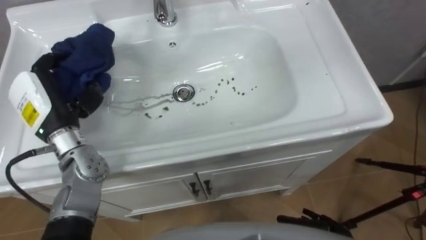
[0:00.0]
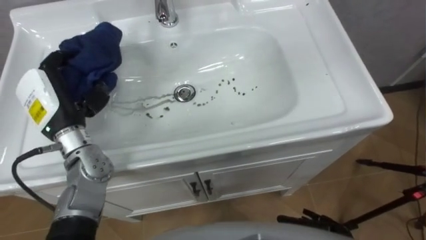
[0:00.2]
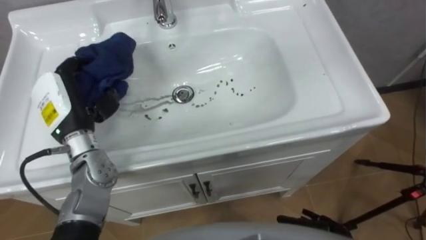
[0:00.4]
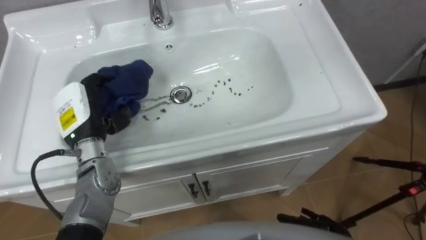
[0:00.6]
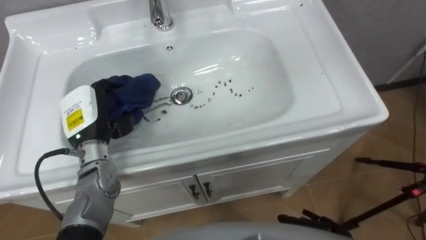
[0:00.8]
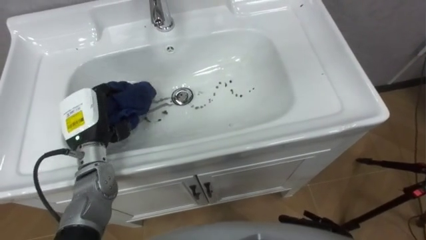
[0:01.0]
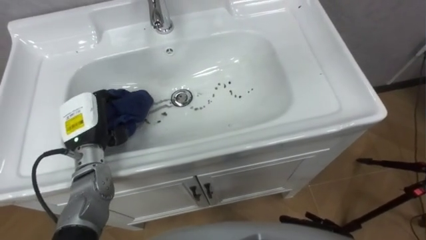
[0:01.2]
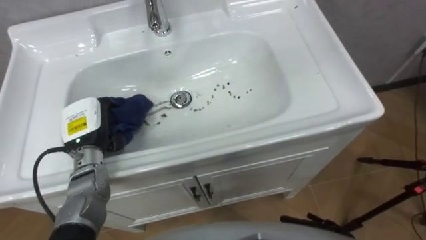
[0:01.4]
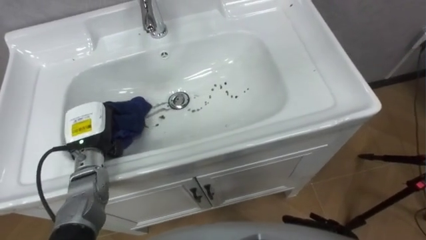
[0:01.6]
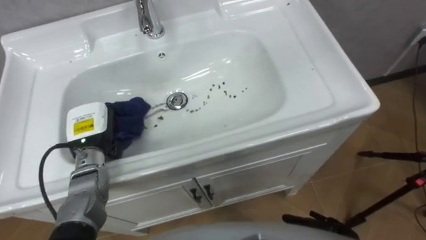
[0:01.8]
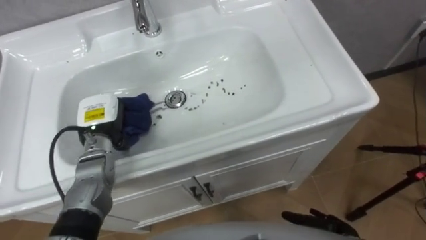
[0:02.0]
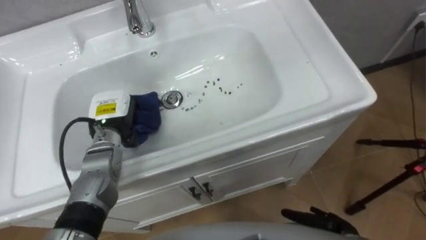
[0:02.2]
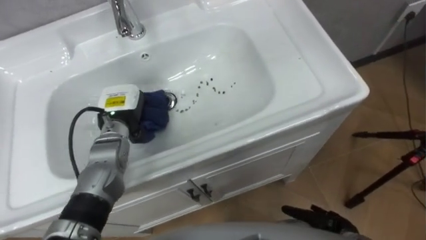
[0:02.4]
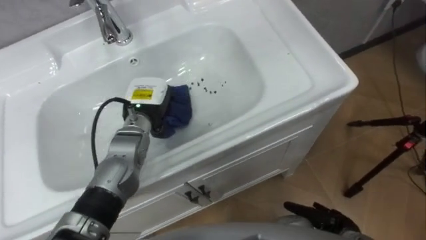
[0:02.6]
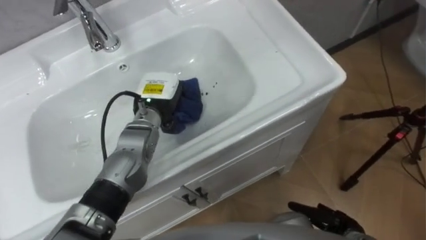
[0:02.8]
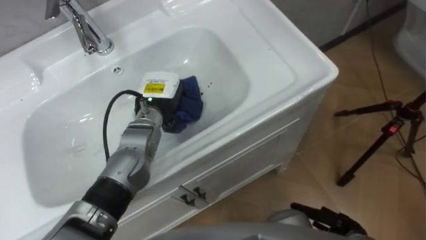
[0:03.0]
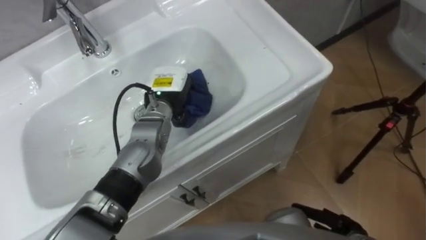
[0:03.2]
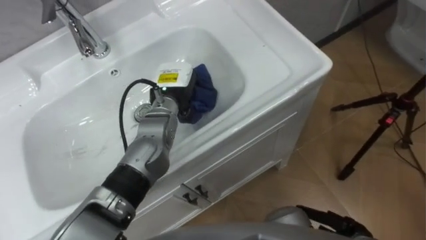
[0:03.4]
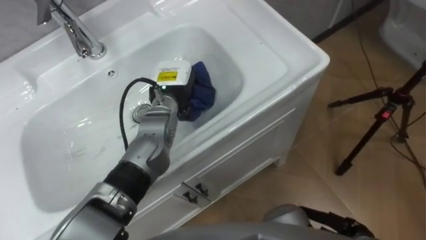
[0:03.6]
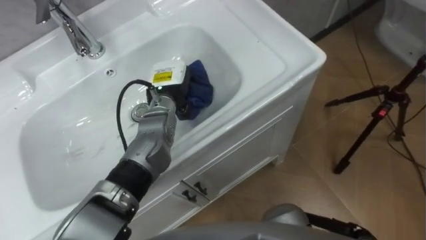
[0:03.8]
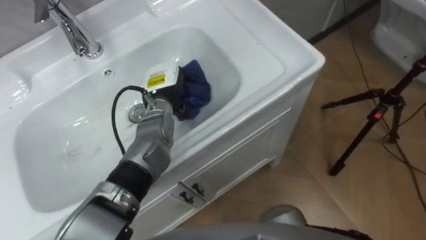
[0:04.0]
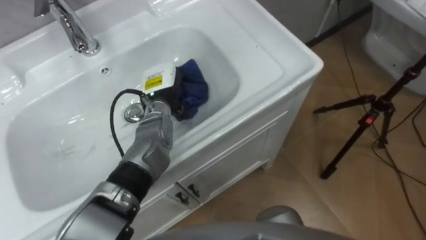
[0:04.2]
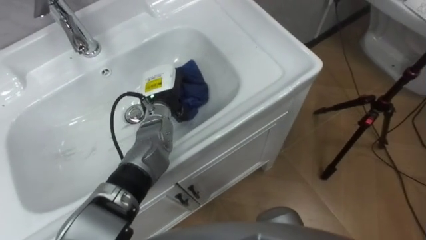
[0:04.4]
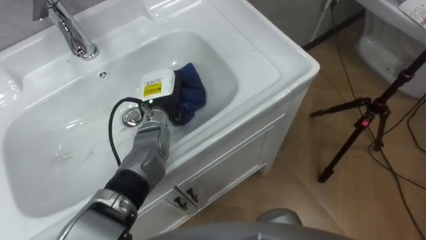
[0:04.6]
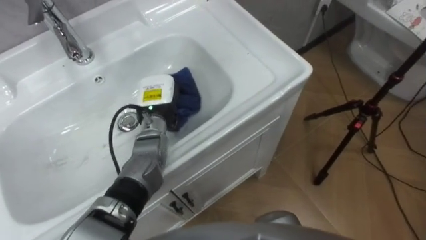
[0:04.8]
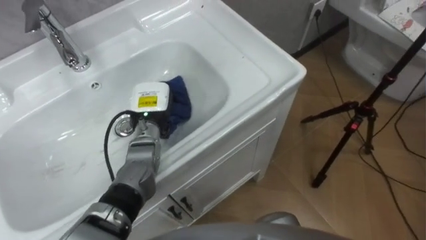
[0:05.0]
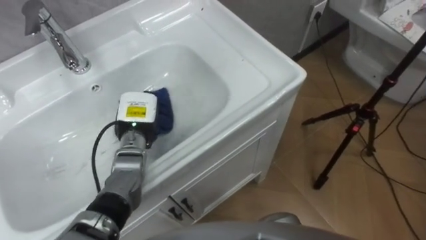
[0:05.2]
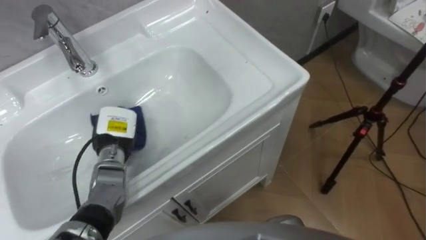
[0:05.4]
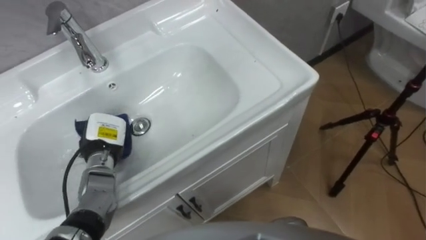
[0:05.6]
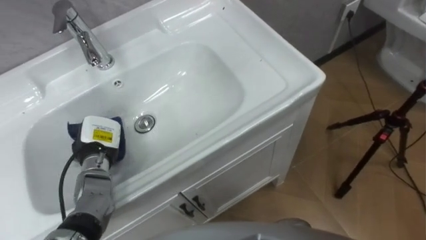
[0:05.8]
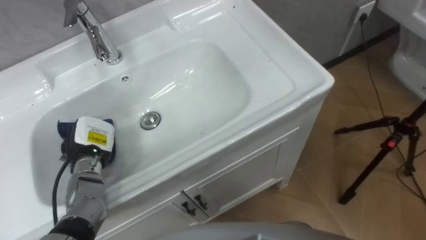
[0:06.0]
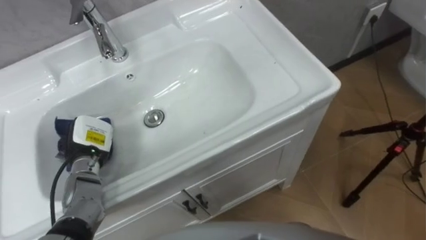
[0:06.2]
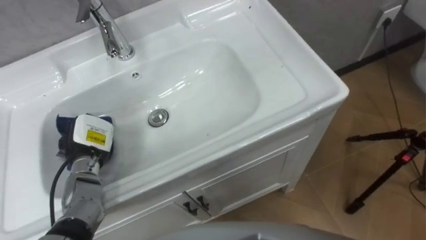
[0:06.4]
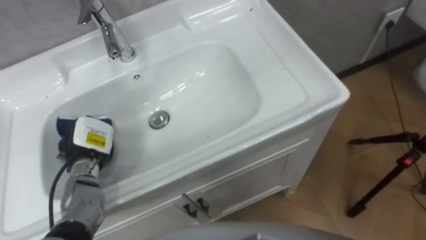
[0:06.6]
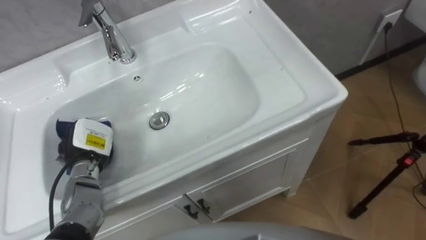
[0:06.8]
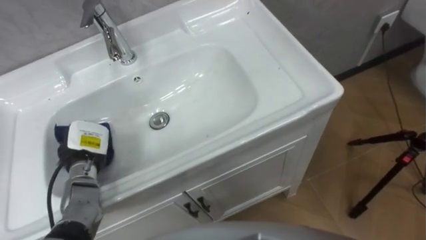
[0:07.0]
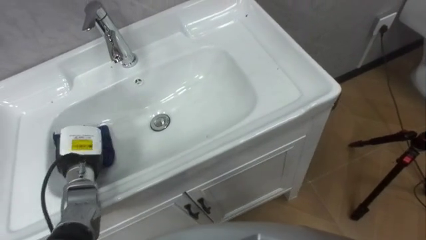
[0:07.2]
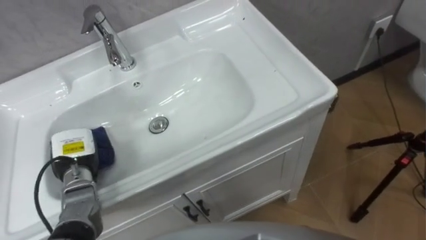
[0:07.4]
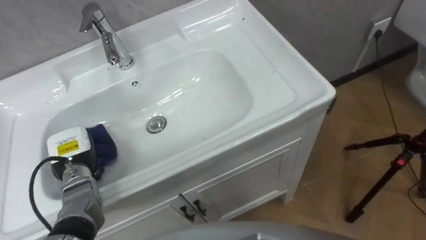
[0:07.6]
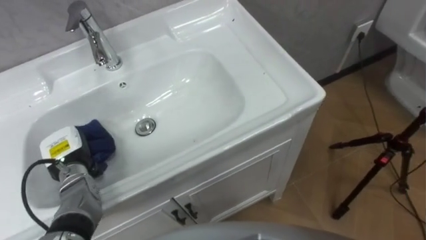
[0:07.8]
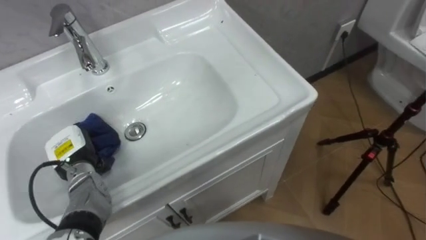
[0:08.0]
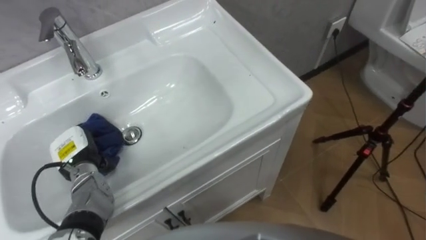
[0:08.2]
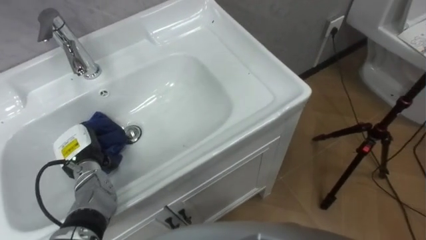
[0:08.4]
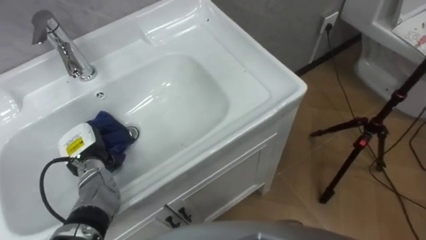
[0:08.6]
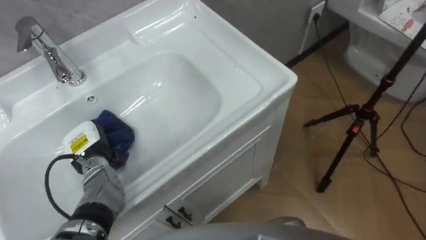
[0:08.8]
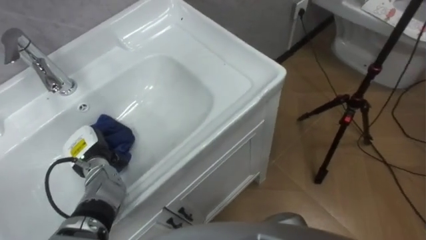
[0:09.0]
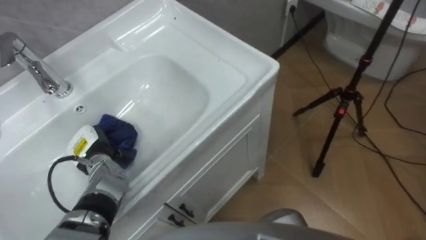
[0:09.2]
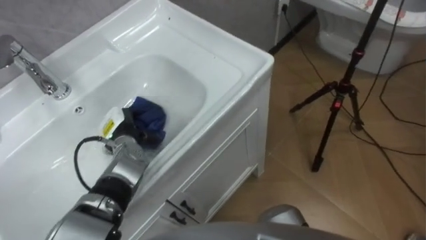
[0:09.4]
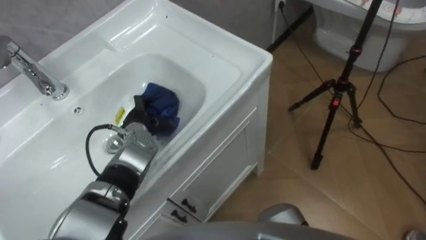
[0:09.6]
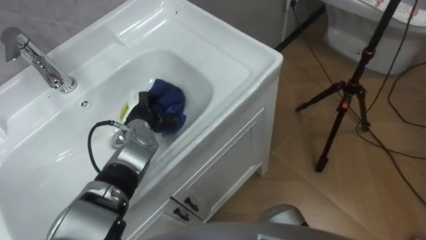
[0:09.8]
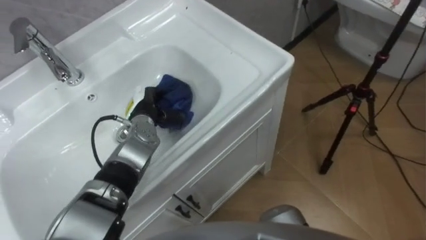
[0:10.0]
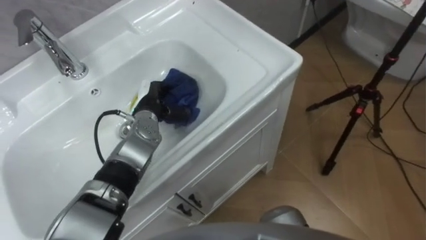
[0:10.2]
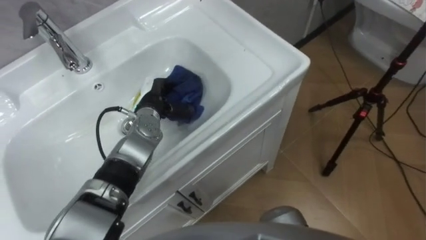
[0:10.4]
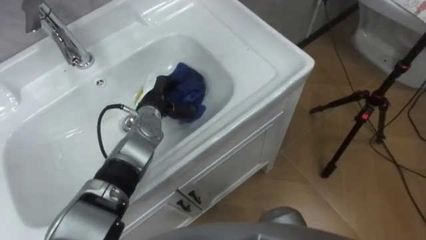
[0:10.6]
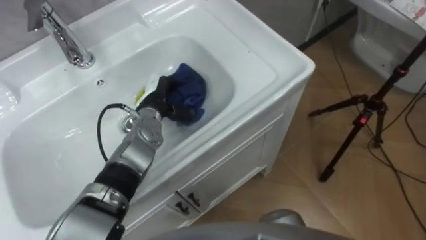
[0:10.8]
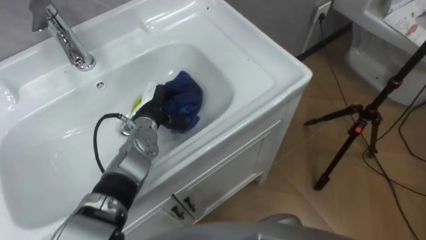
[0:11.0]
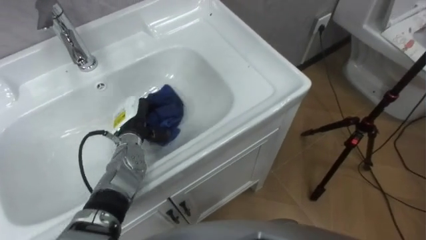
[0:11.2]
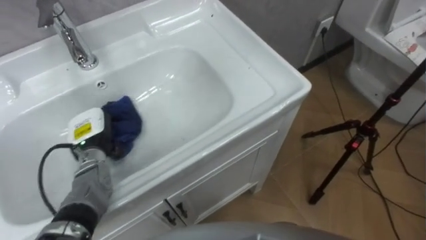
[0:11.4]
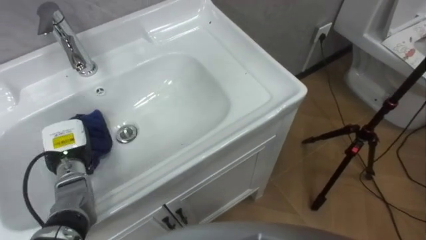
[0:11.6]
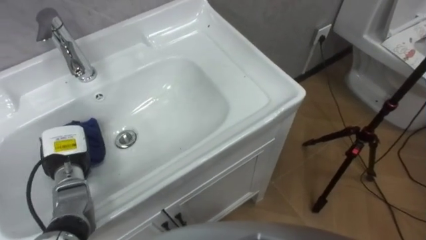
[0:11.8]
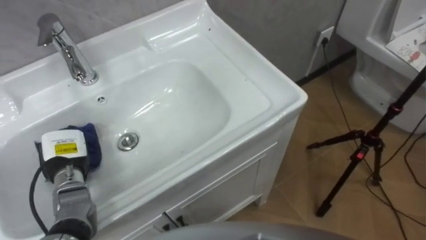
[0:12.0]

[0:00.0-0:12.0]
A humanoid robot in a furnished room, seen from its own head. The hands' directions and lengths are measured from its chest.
Task of the whole recording: Use the cloth on the right to wipe away the black stain in the sink.
0:00.0 to 0:01.6: The left hand is displaced downward by roughly 10 cm.
0:01.6 to 0:03.0: The left hand travels to the right and forward by approximately 15 cm.
0:04.4 to 0:06.0: The left hand goes approximately 20 cm to the left and backward.
0:09.0 to 0:10.4: The left hand is displaced to the right and forward by approximately 15 cm.
0:10.4 to 0:12.0: The left hand goes about 20 cm to the left and backward.

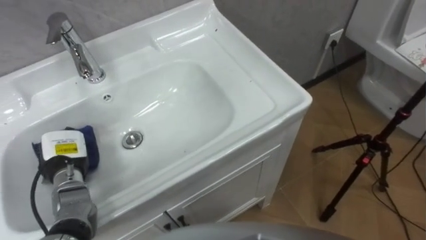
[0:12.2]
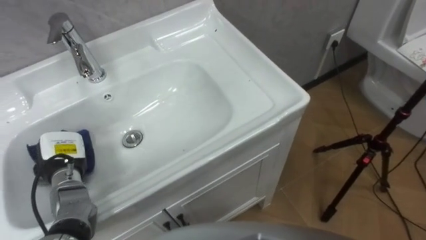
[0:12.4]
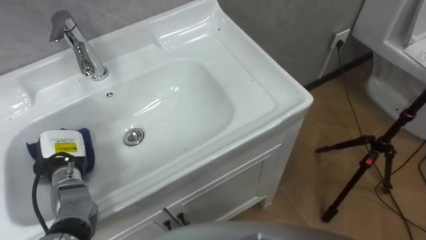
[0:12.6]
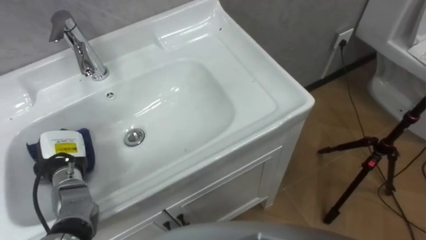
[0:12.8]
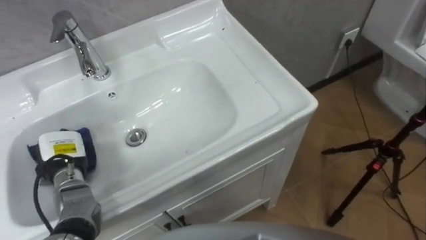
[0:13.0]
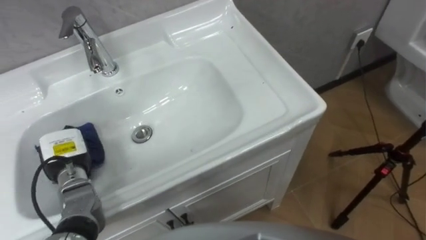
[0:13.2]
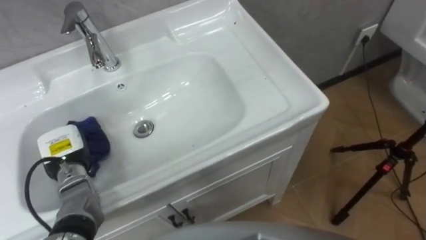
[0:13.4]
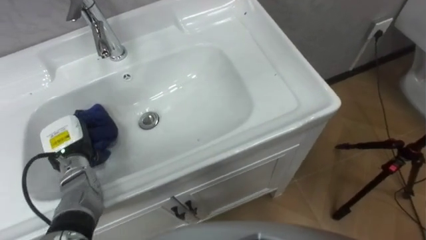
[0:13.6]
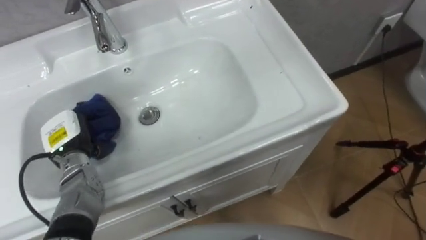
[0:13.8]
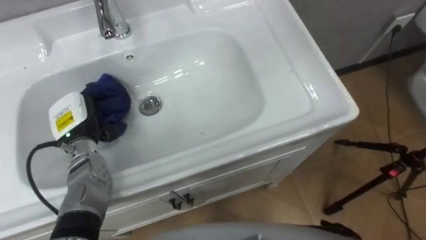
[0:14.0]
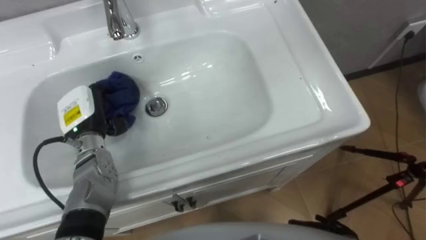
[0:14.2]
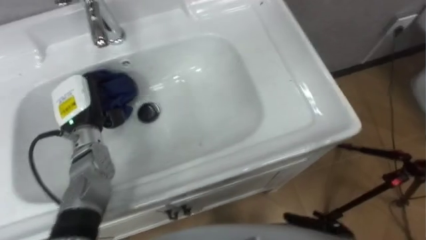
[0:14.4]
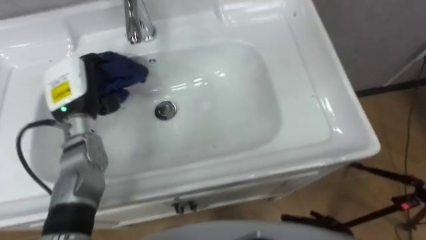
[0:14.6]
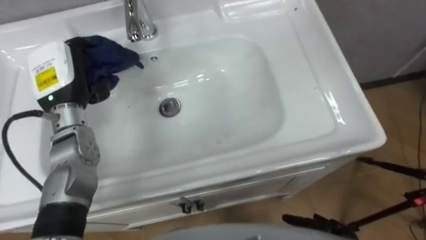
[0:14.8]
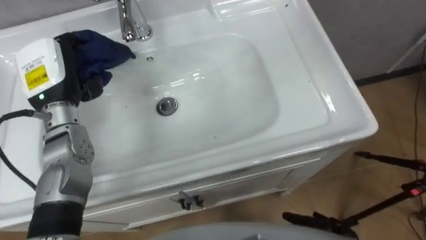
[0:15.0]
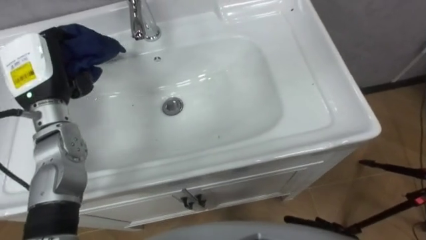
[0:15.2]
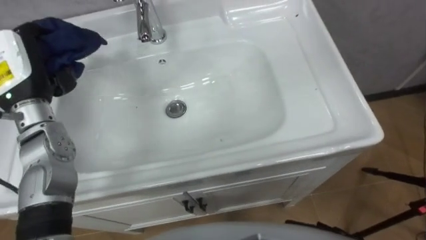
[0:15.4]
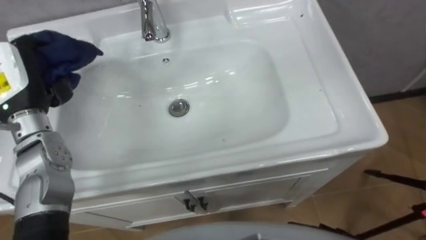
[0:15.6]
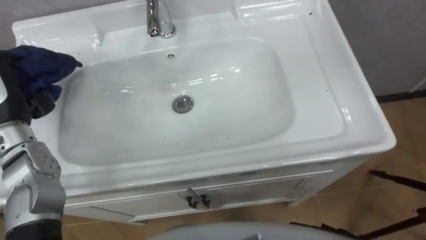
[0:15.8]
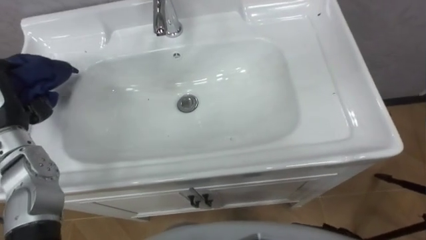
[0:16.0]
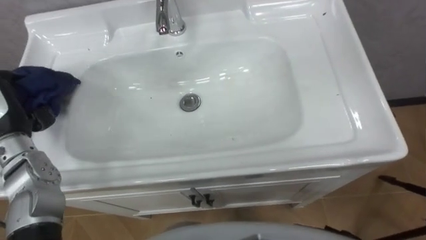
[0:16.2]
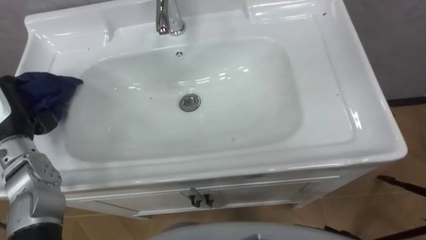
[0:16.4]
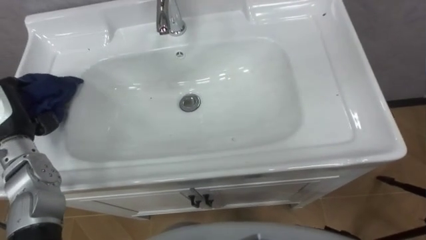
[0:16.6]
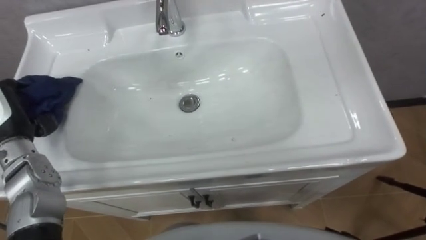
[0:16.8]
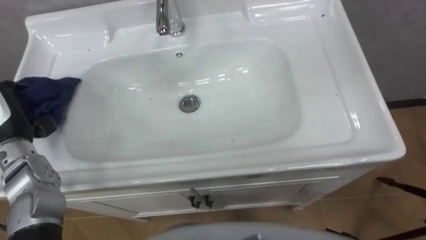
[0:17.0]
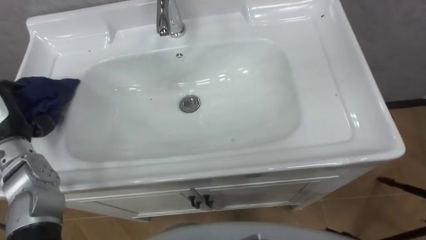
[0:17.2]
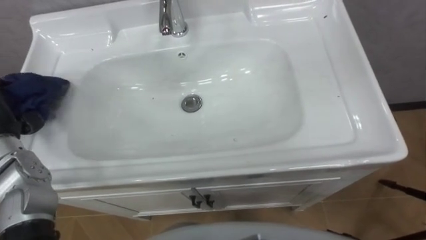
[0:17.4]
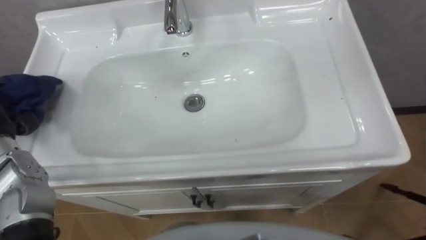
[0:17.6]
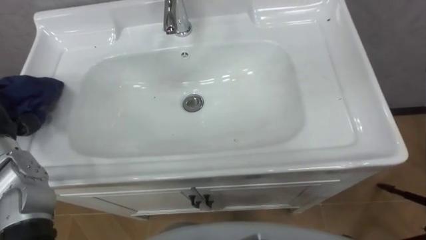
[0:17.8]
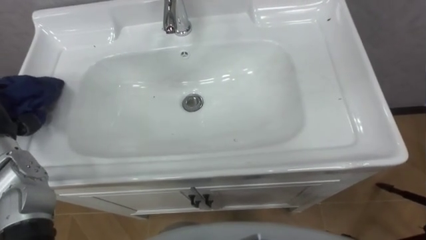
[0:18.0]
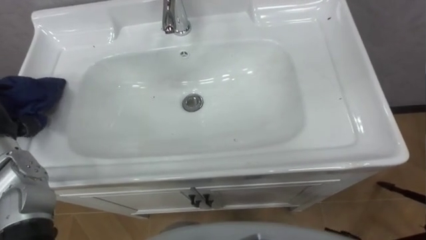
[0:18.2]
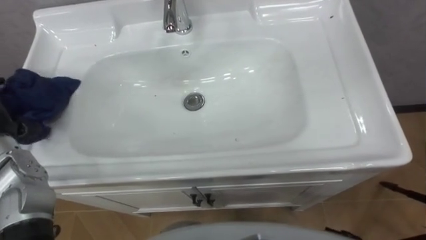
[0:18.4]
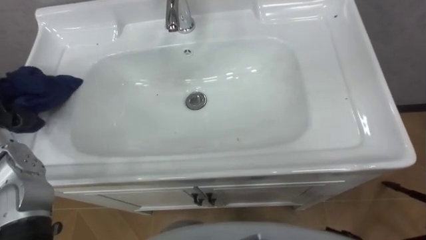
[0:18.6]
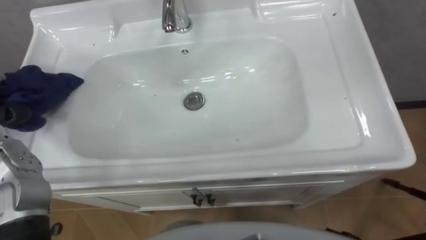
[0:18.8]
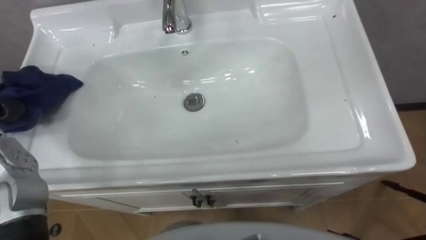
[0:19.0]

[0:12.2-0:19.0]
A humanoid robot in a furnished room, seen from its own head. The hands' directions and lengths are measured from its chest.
Task of the whole recording: Use the cloth on the right to wipe away the black stain in the sink.
0:13.6 to 0:15.0: The left hand is displaced upward and forward by about 15 cm.
